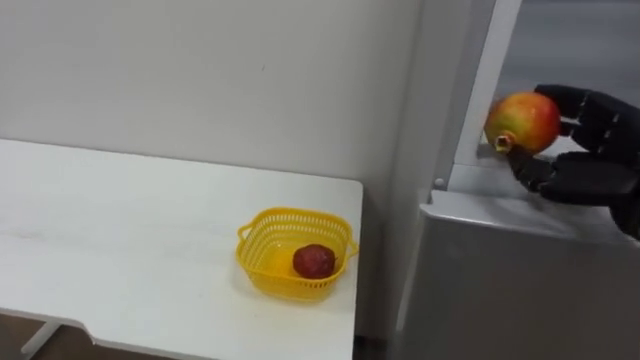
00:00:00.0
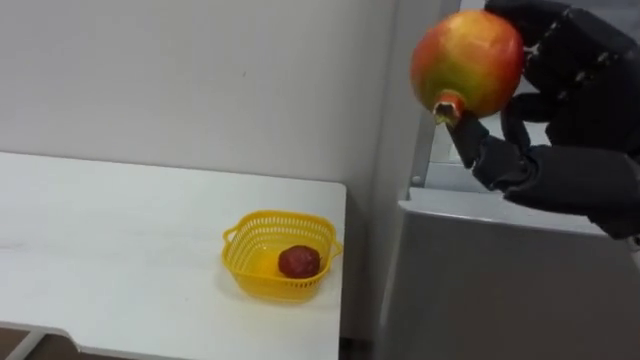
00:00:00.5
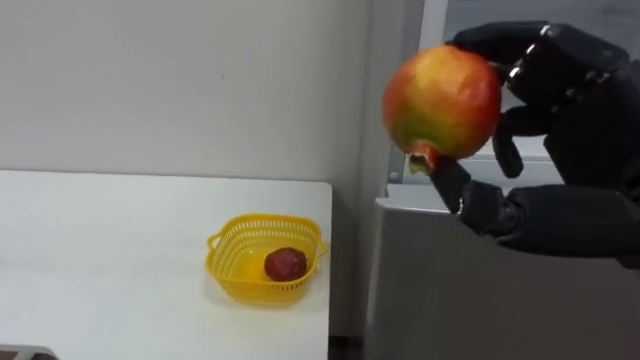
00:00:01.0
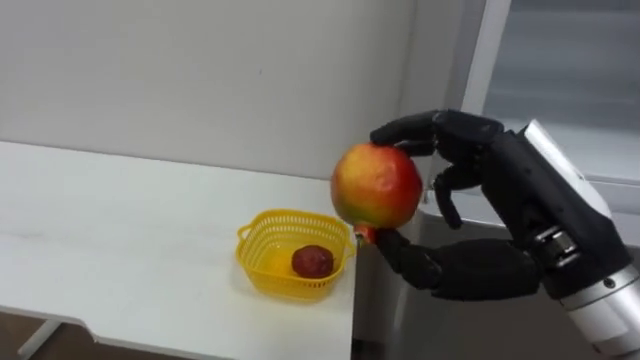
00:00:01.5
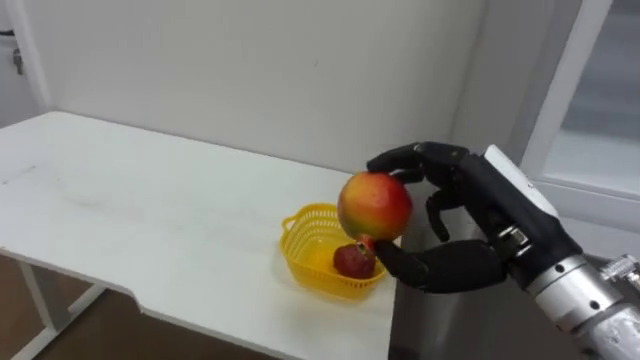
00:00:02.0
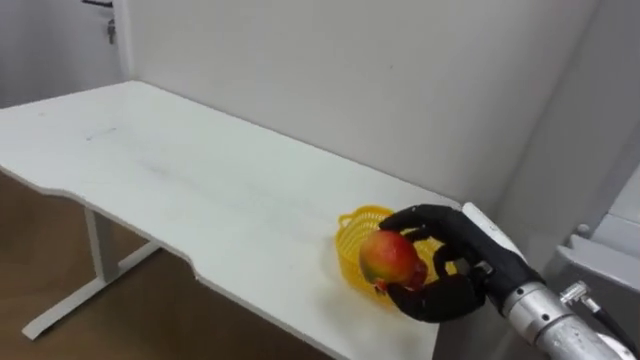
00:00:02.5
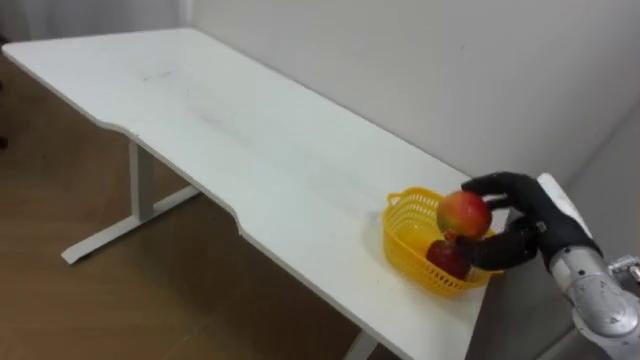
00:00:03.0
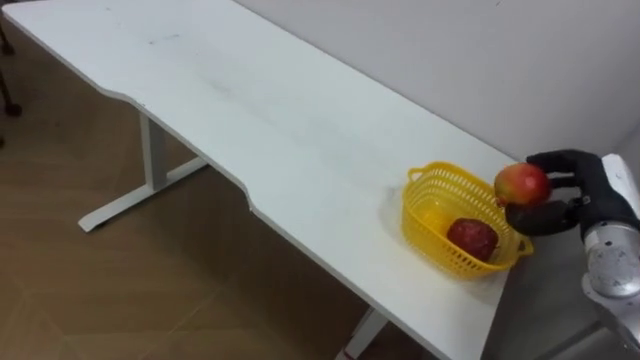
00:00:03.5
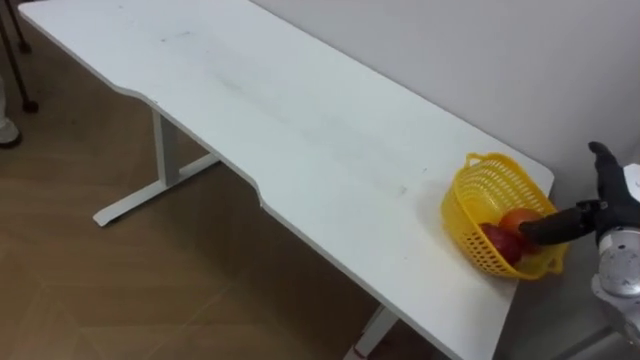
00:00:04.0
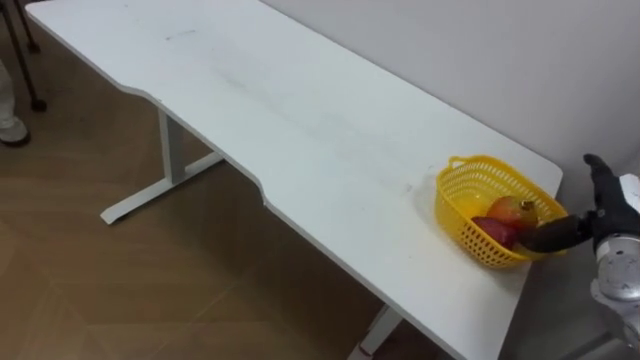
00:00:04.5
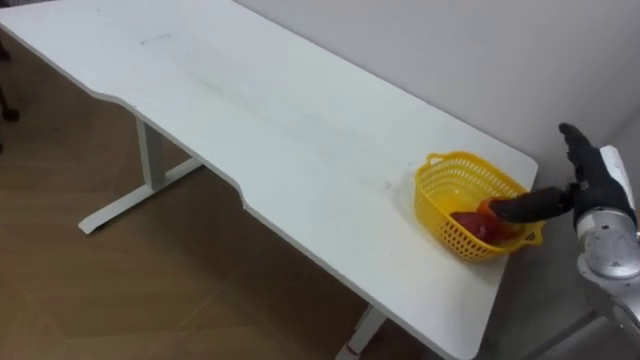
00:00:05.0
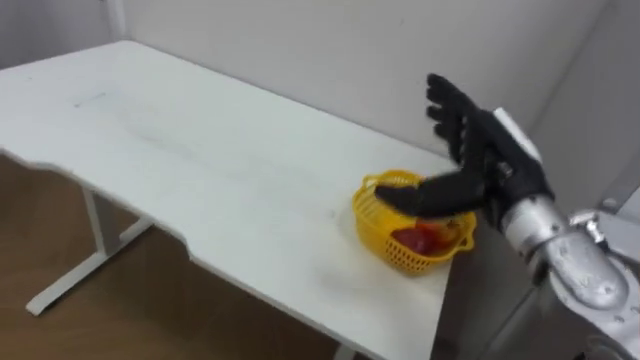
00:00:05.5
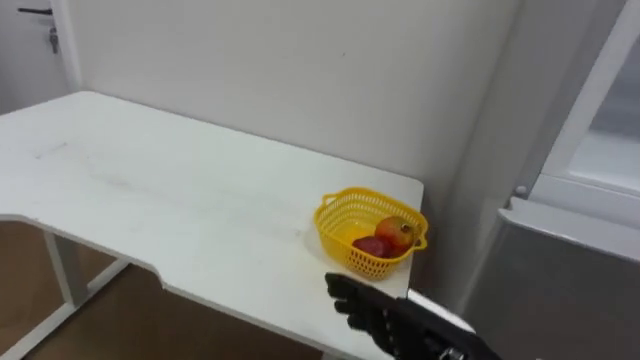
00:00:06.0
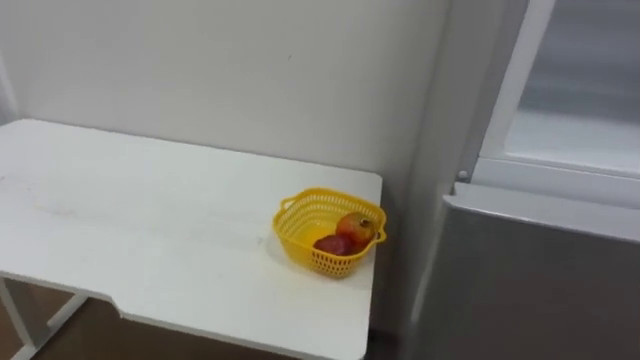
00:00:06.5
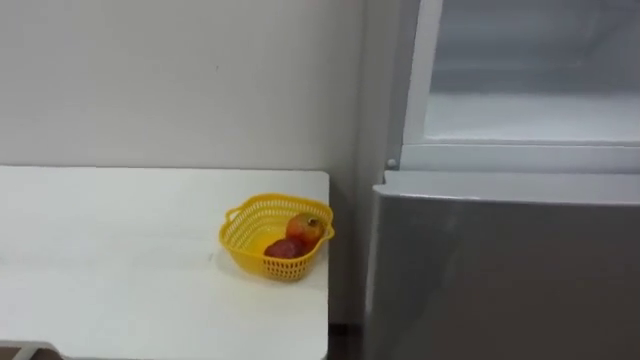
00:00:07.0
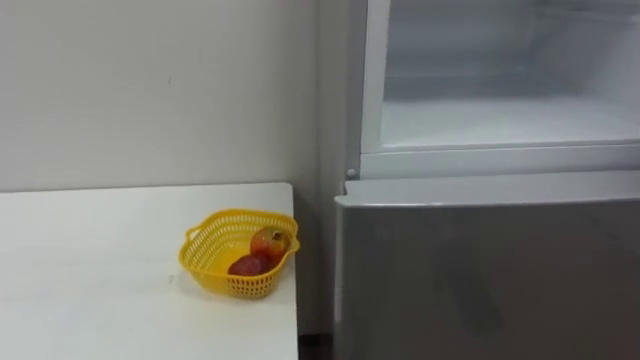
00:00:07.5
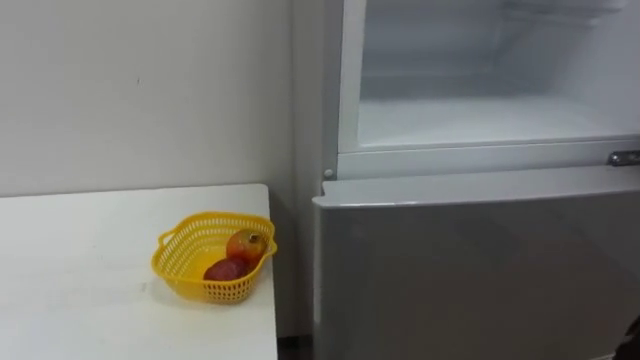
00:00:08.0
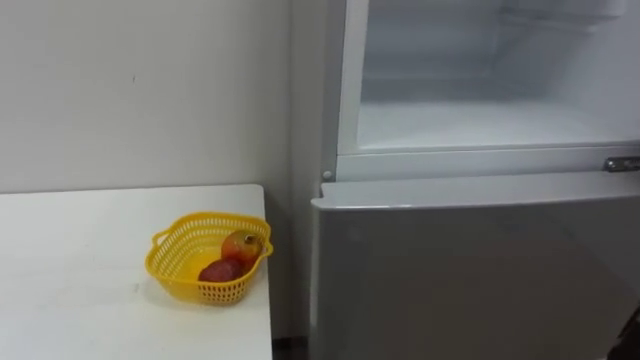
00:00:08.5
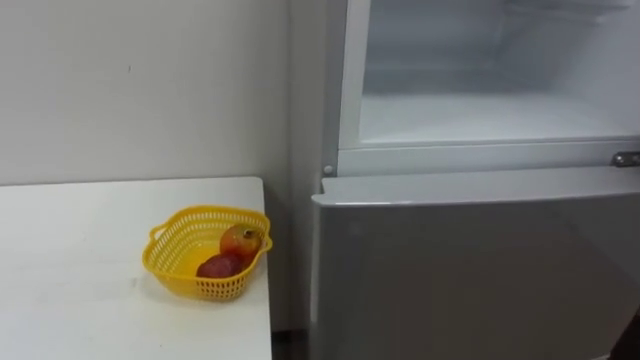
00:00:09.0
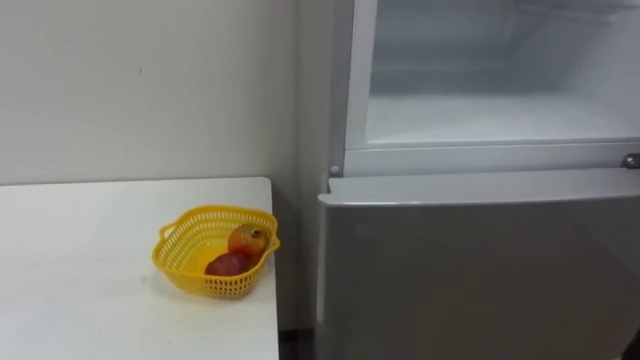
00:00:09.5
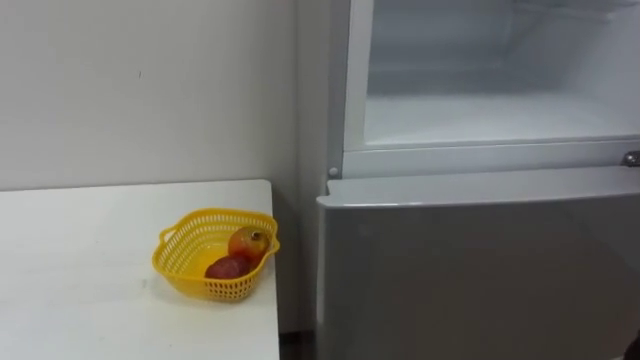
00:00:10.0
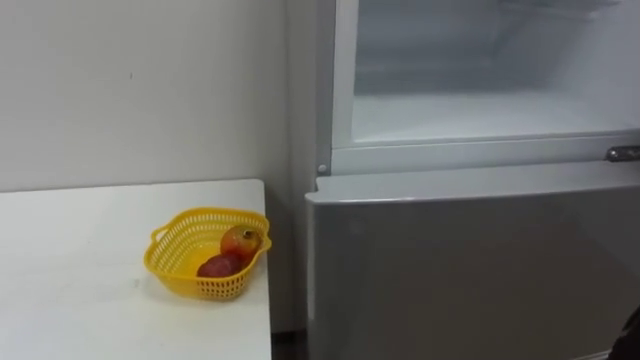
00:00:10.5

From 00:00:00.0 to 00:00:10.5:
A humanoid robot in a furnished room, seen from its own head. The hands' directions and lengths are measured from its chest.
Task of the whole recording: Open the refrigerator door, take out the apple and the pomegranate, place them in the fruit basket on the left, and close the refrigerator door.
From 00:00:00.0 to 00:00:02.0: The right hand moves to the left, approximately 15 cm.
From 00:00:02.0 to 00:00:04.0: The right hand is displaced to the right, forward and downward by about 20 cm, and opens.

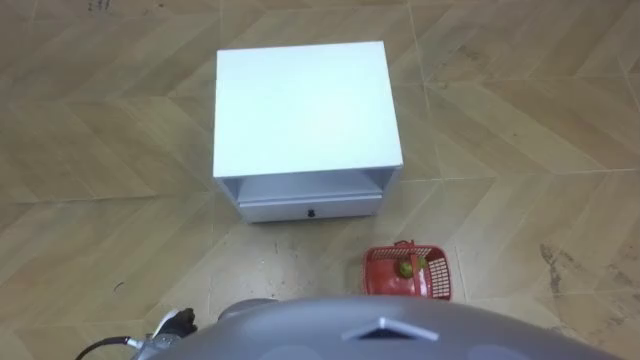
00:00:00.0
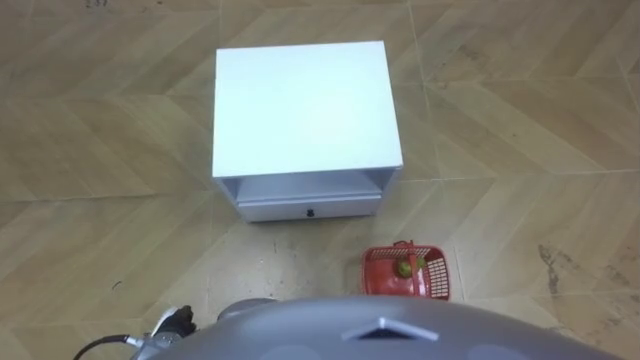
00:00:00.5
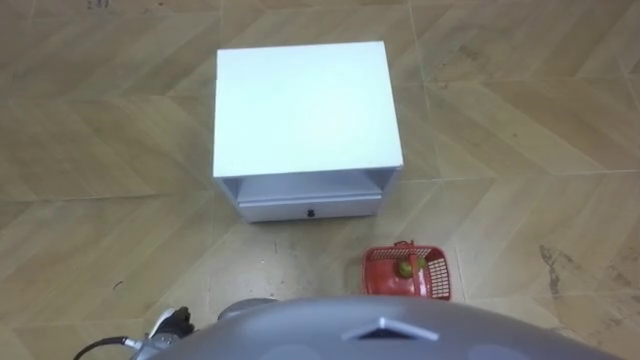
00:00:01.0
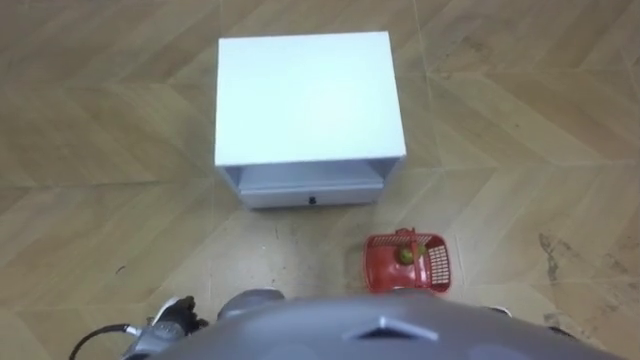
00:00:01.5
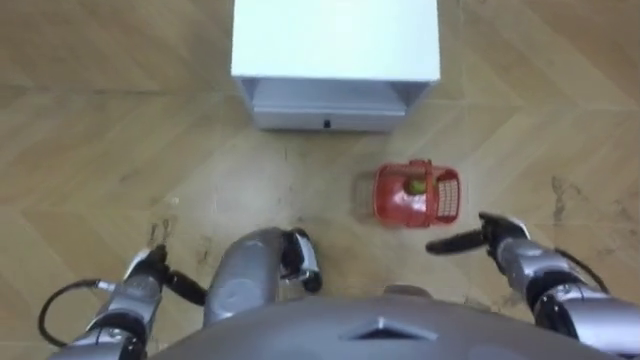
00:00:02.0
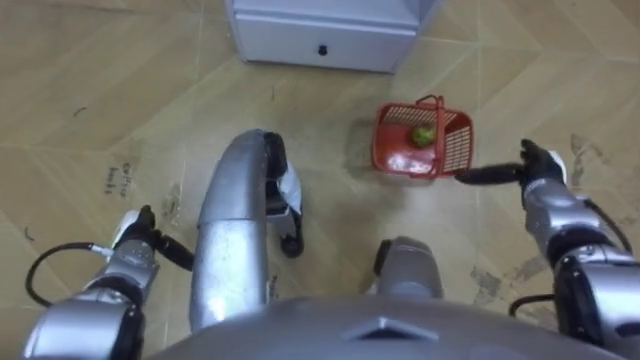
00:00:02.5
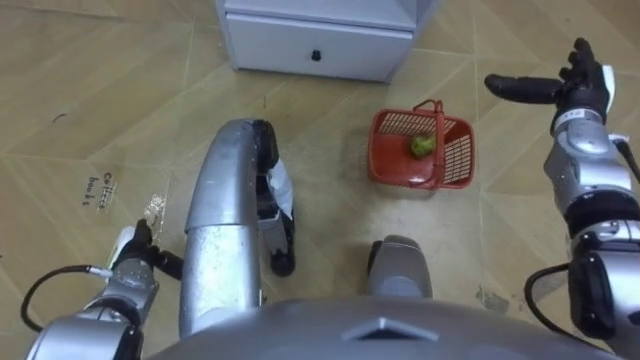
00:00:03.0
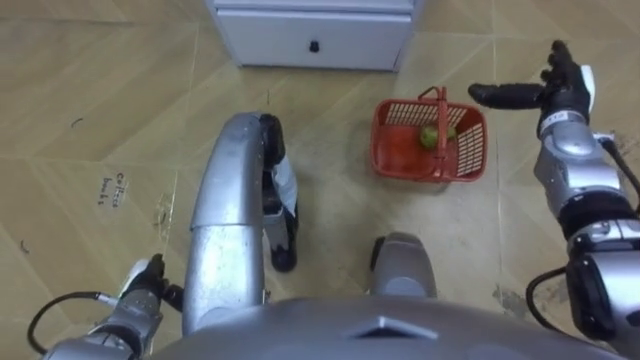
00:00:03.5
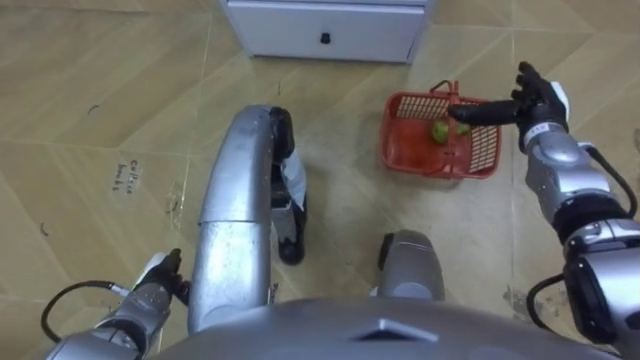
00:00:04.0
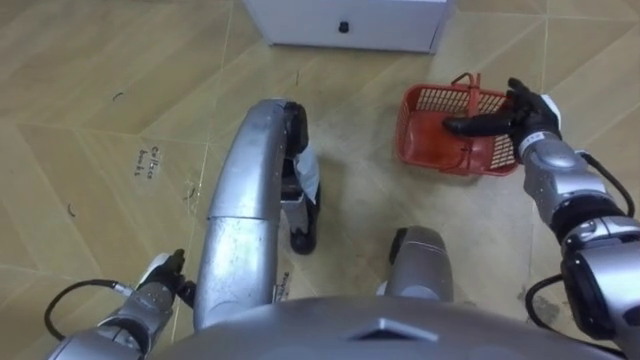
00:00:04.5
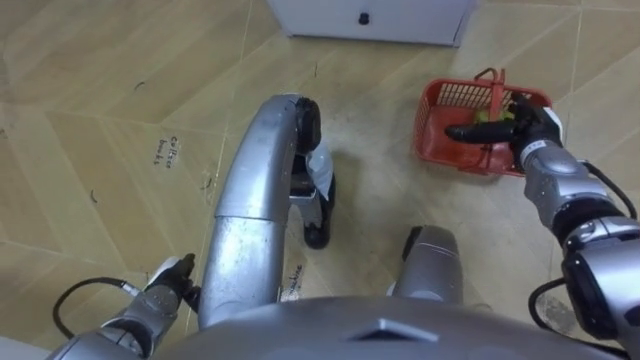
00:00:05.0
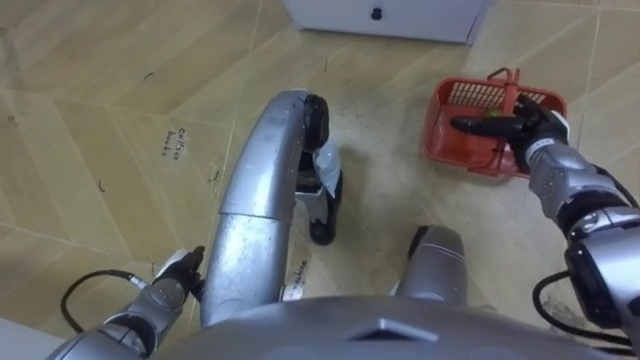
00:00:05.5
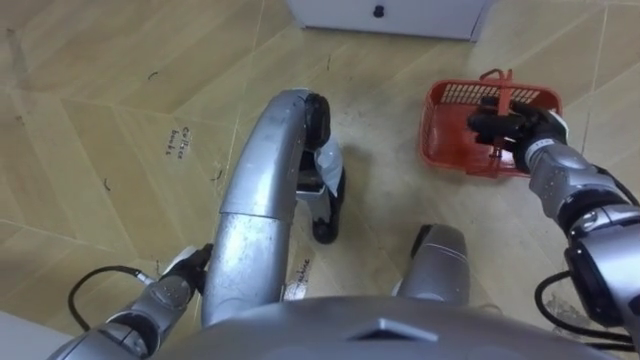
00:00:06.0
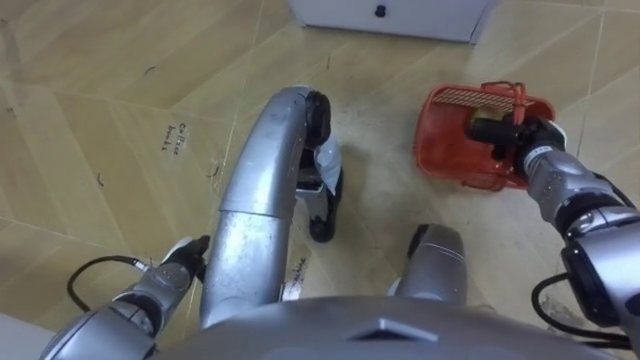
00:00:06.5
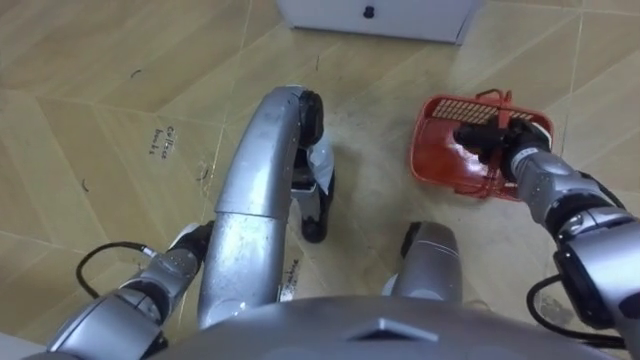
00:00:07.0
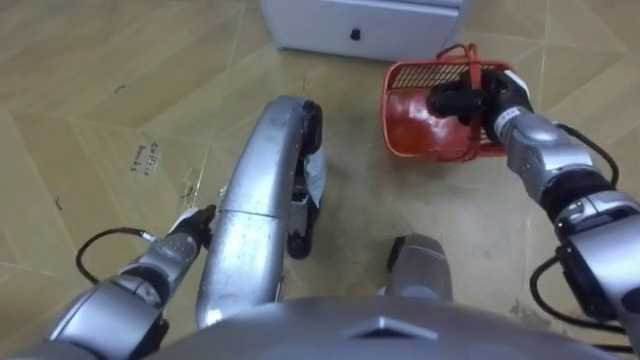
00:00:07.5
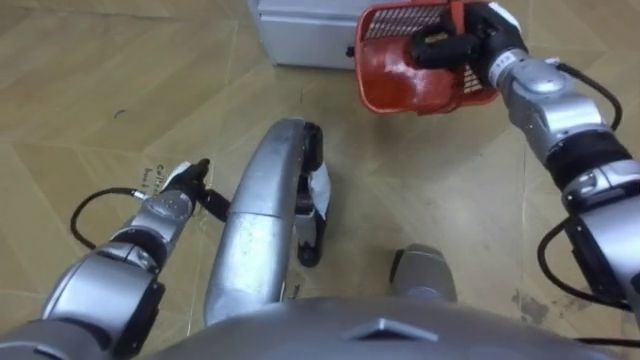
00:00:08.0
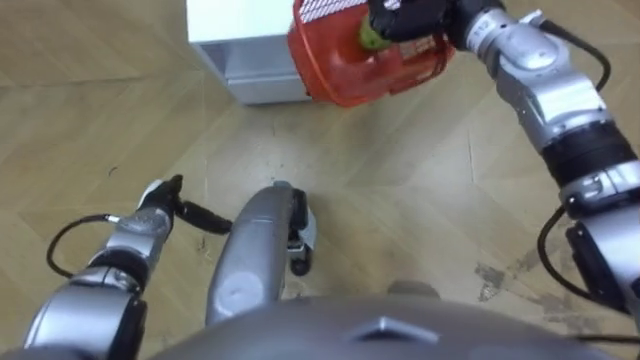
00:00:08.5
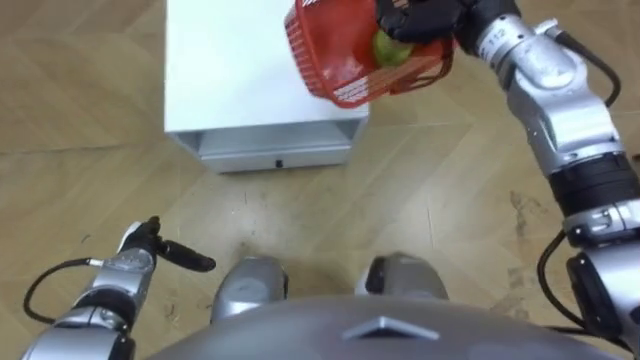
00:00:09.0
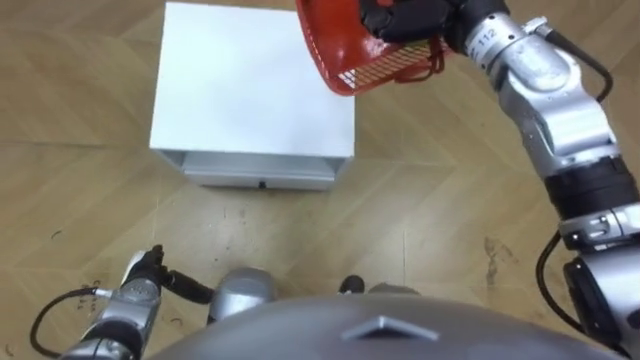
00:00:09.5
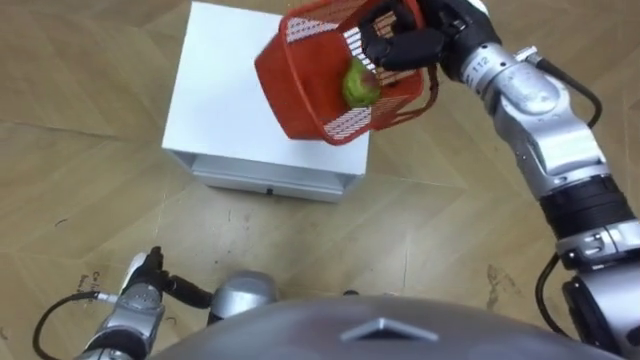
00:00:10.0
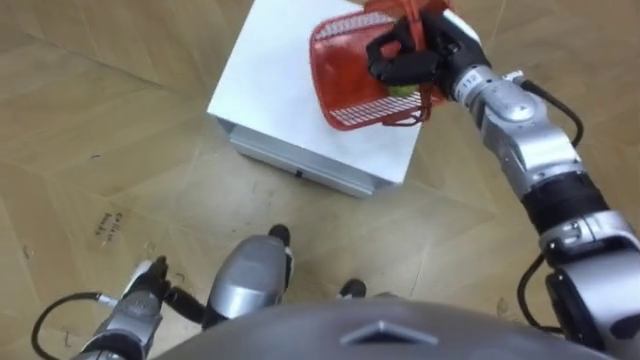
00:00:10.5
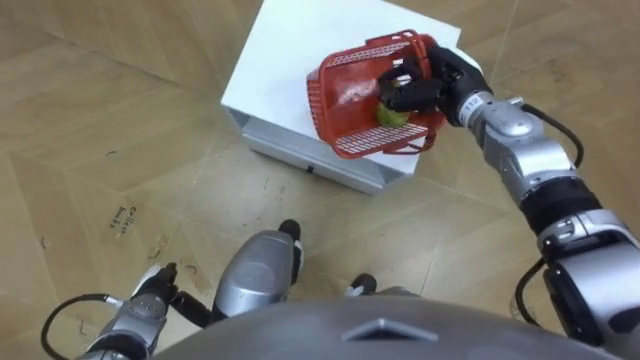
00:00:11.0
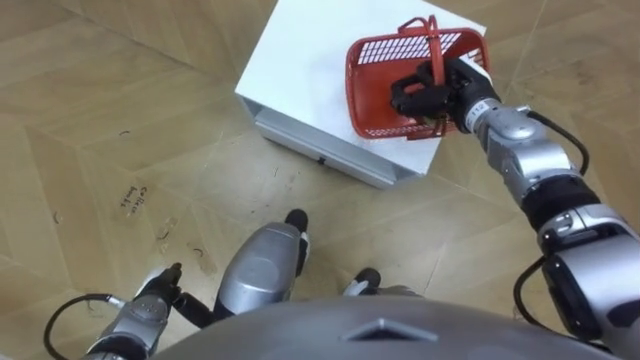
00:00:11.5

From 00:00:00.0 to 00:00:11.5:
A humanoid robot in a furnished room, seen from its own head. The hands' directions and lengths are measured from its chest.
Task of the whole recording: Pick up the fruit basket from the floor and place it on the cabinet.
From 00:00:02.0 to 00:00:04.0: The right hand shifts some 20 cm forward and upward.
From 00:00:04.0 to 00:00:06.0: The right hand closes up.
From 00:00:06.0 to 00:00:07.5: The left hand travels forward by some 5 cm, while the right hand travels to the left by about 5 cm.
From 00:00:07.5 to 00:00:09.5: The left hand is displaced backward and to the left by some 10 cm.
